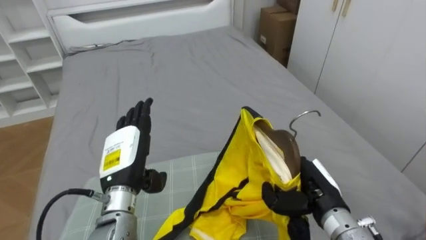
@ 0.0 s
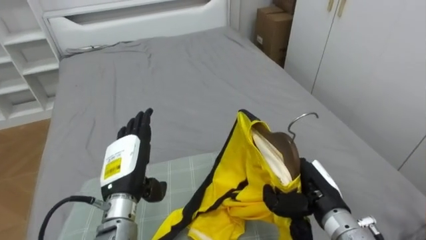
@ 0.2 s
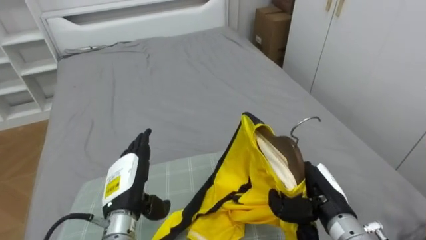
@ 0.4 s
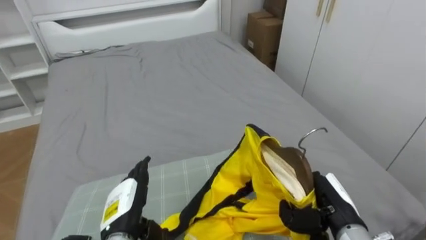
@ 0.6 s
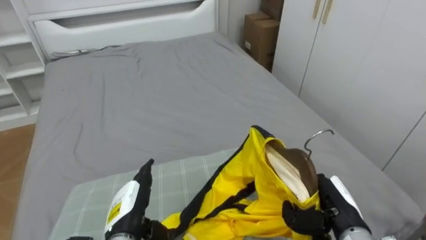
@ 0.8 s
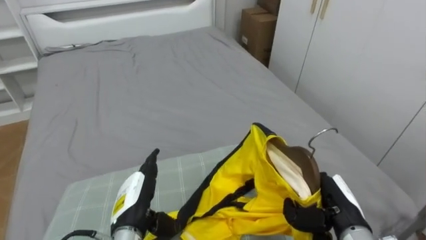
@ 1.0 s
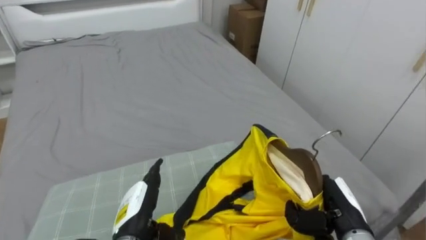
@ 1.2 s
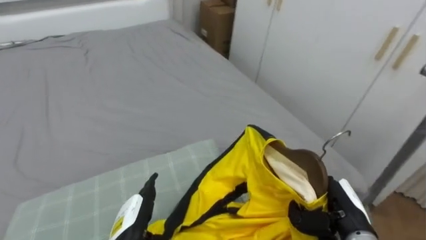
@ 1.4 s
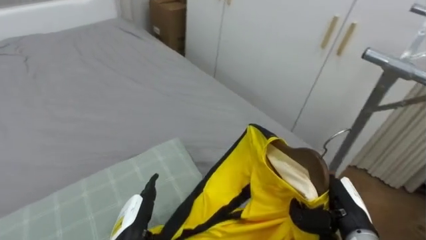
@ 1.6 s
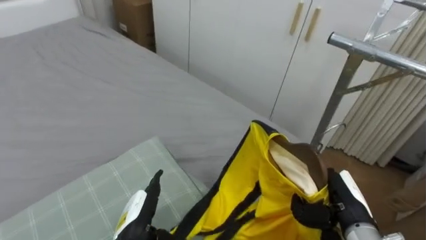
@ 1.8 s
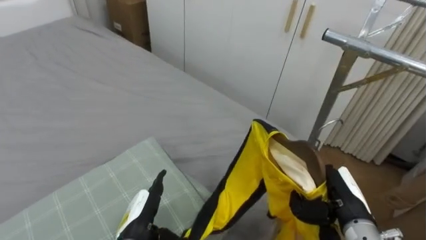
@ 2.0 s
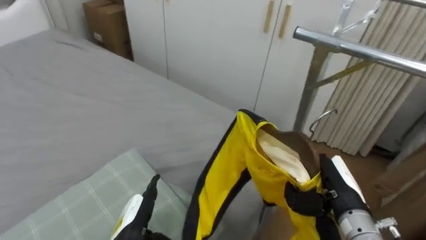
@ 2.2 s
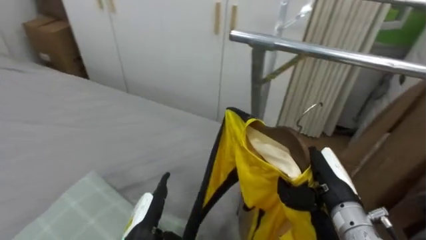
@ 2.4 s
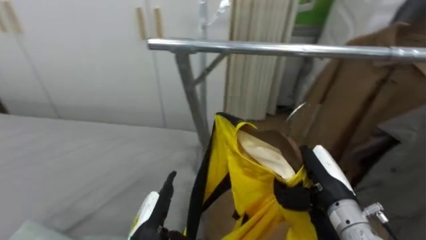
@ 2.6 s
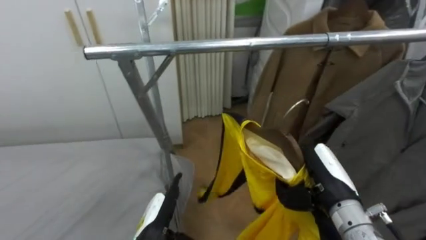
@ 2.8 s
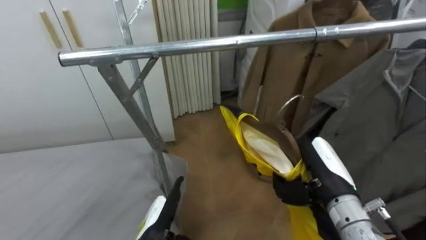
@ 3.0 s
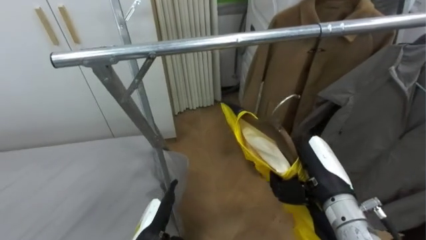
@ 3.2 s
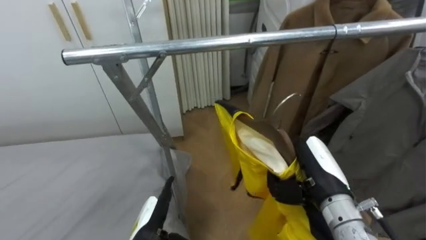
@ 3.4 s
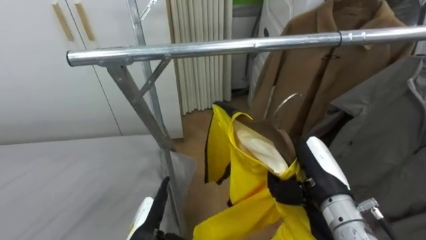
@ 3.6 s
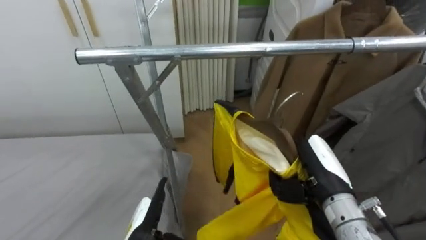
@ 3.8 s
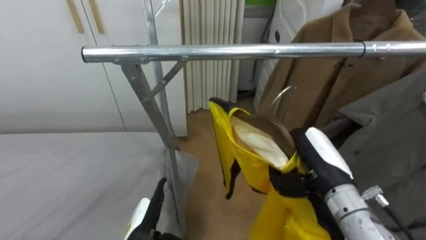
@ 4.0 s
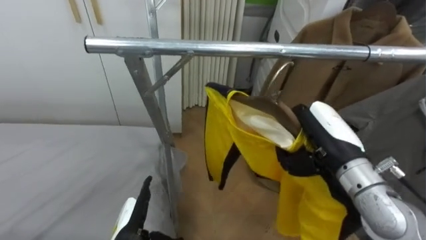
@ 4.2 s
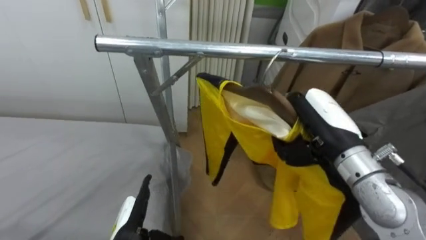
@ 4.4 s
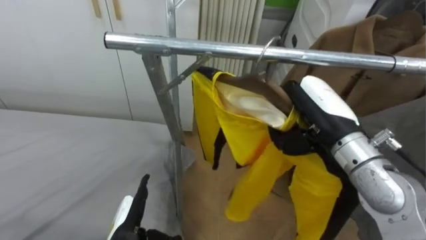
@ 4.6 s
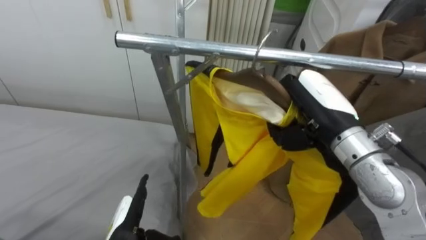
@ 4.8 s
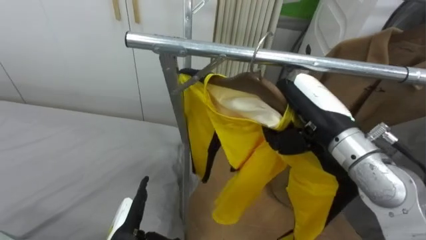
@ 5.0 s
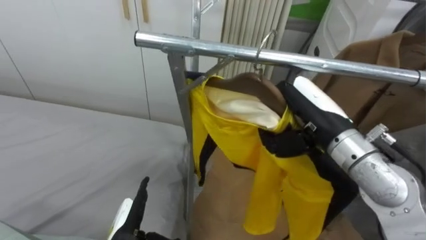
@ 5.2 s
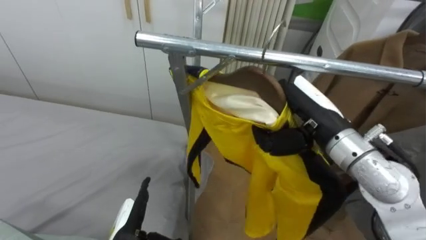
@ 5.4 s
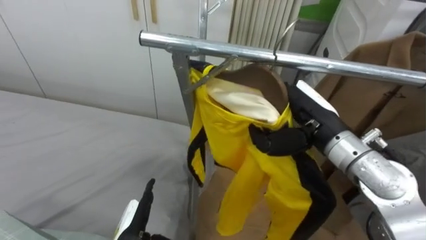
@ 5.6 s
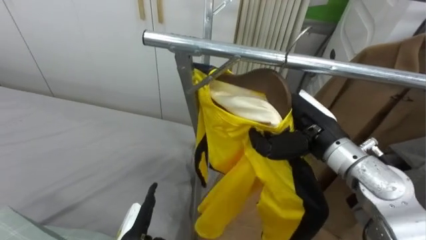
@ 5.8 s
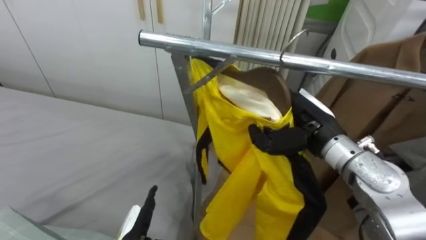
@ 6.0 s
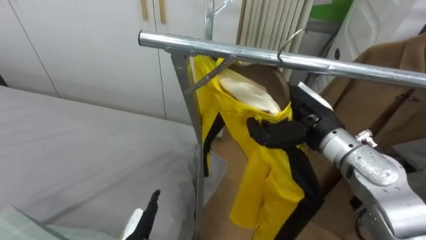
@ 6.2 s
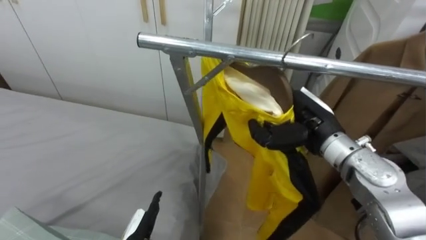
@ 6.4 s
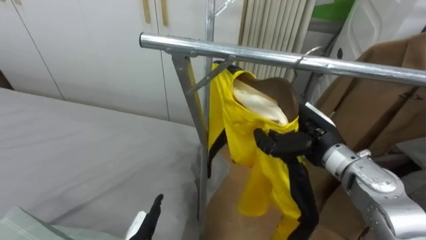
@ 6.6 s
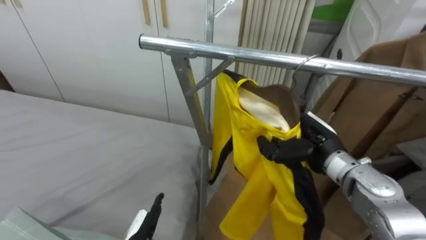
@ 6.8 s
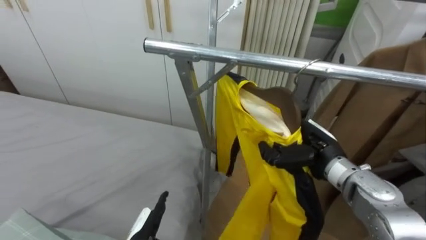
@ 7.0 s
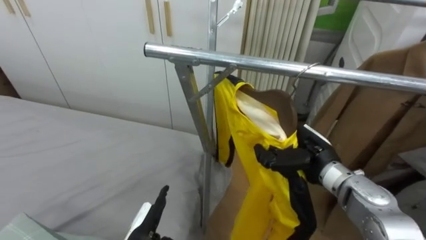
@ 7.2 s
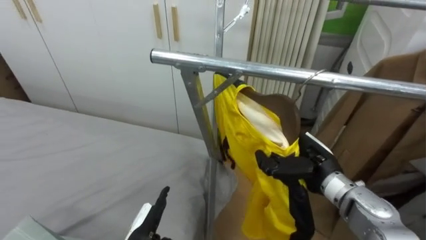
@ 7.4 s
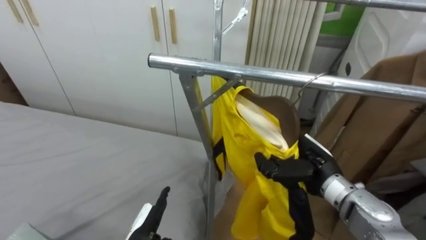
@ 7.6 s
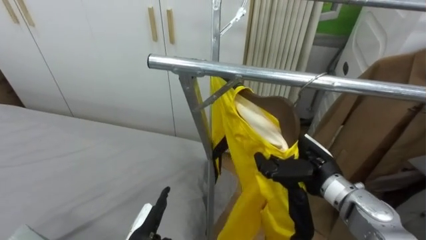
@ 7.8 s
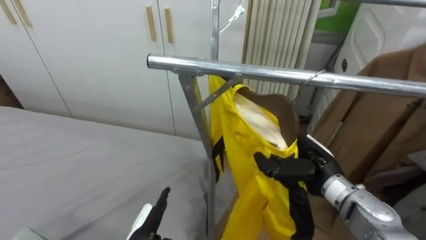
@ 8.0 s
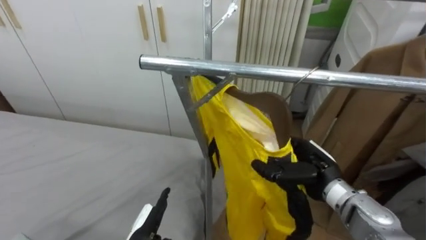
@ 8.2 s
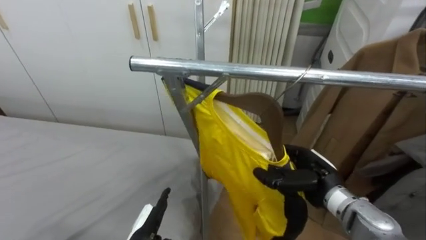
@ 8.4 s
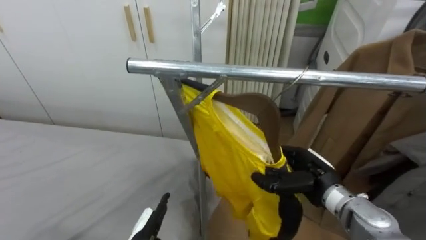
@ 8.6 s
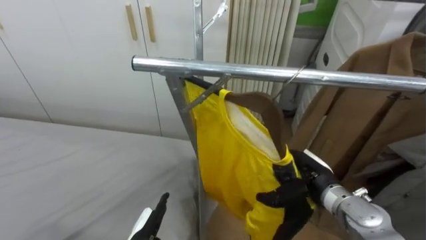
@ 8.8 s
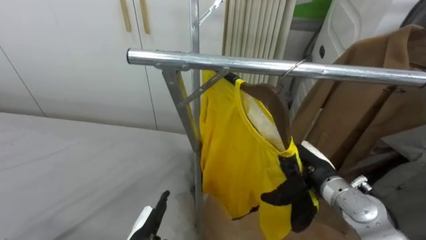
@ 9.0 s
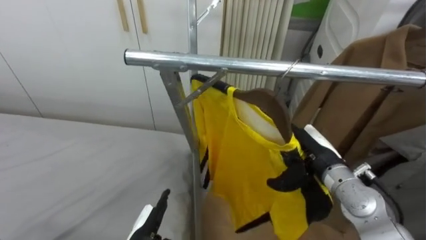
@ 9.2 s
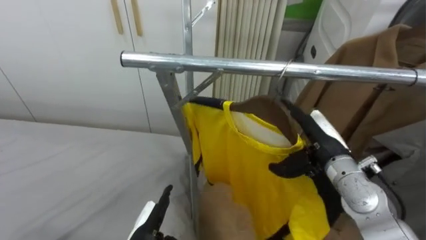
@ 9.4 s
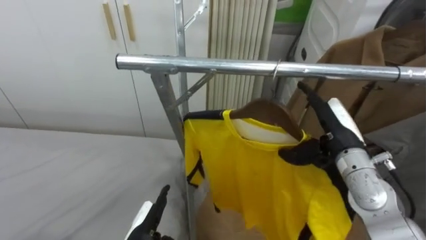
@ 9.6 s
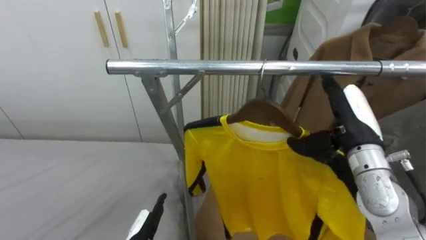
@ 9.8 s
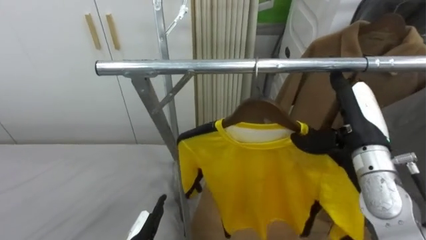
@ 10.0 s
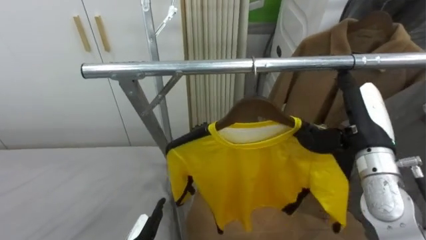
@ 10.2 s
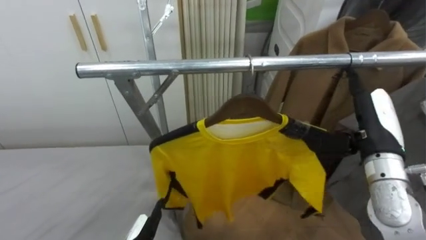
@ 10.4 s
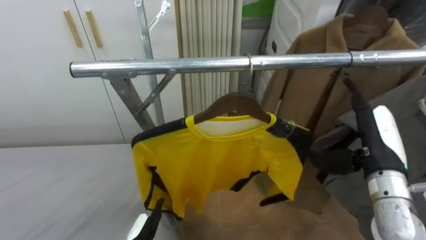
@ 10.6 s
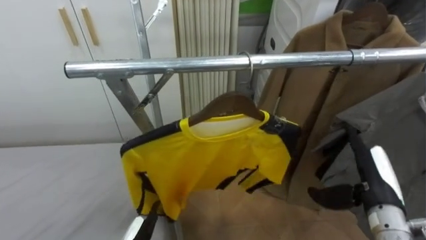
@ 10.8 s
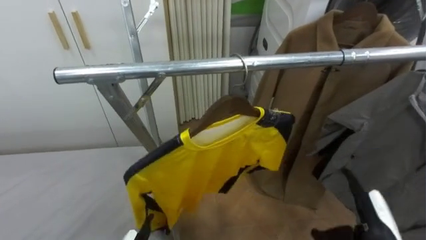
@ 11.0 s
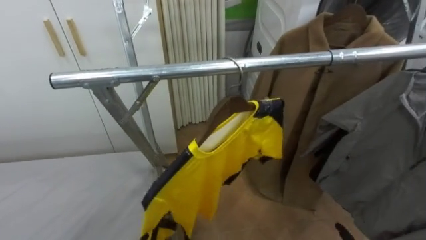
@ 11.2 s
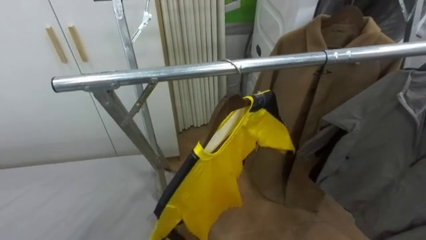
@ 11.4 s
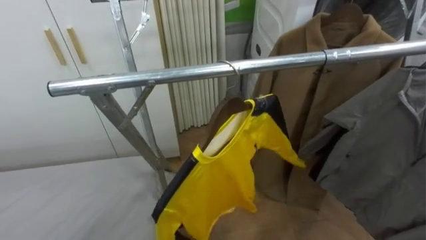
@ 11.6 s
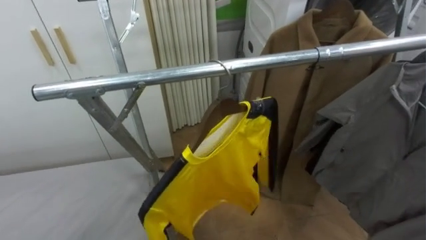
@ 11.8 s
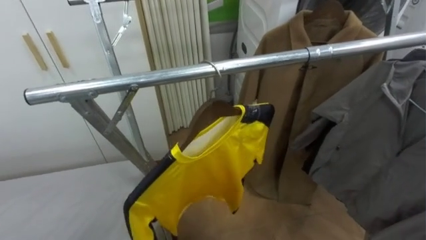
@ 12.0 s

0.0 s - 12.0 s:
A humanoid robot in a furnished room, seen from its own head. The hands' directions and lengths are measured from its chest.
Task of the whole recording: Pick up the yellow shirt on the bed and hang it on the clothes rack on the right.
0.0 s - 1.6 s: The robot's body swings approximately 20 degrees to its right. The left hand is displaced downward and backward by roughly 15 cm. The right hand moves about 5 cm.
1.6 s - 3.0 s: The robot rotates roughly 55 degrees to its right. The right hand travels upward by roughly 5 cm.
3.0 s - 4.4 s: The right hand travels upward by approximately 10 cm; the left hand shifts some 5 cm to the left.
6.0 s - 7.6 s: The right hand is displaced downward by about 10 cm.
7.6 s - 9.0 s: The right hand opens its fingers.
9.0 s - 10.4 s: The right hand travels upward and to the right by approximately 15 cm.

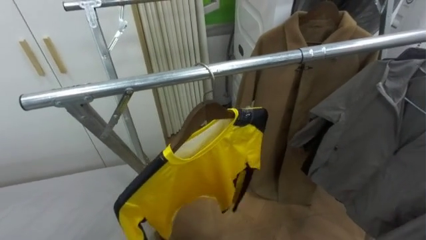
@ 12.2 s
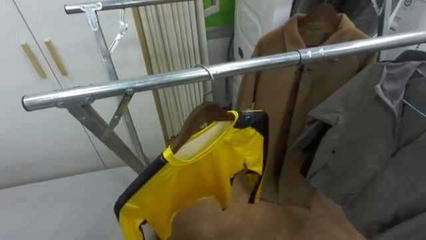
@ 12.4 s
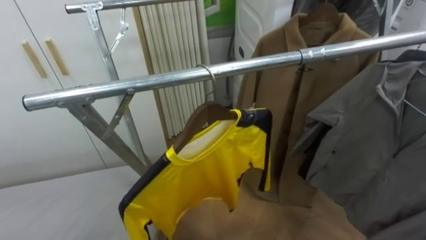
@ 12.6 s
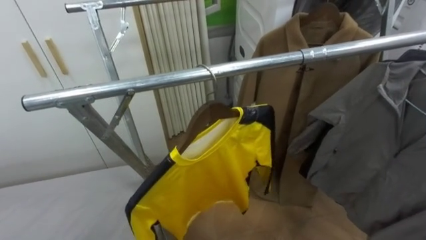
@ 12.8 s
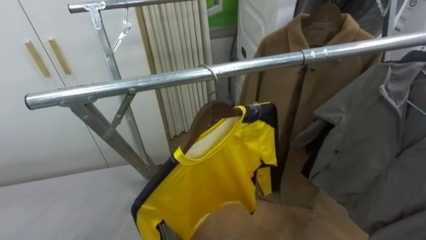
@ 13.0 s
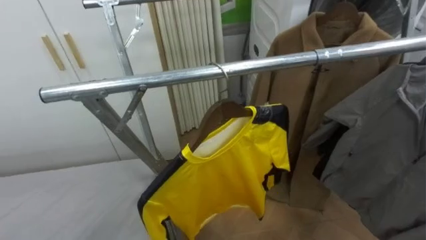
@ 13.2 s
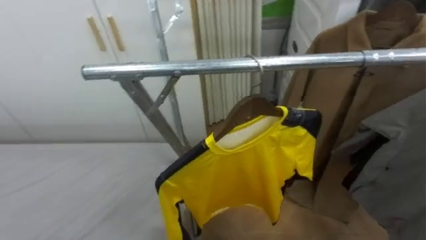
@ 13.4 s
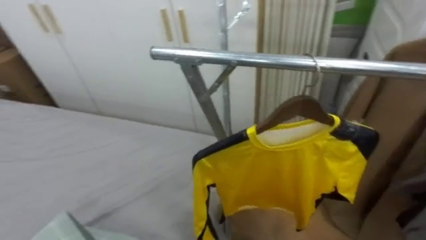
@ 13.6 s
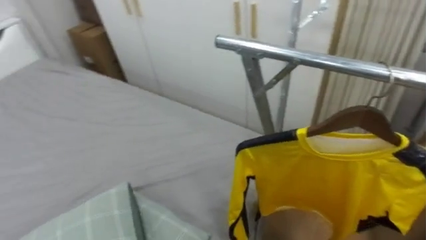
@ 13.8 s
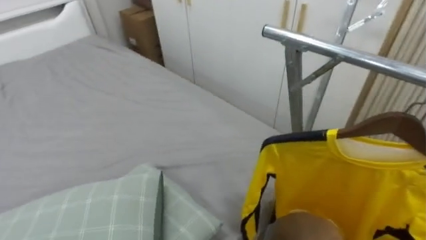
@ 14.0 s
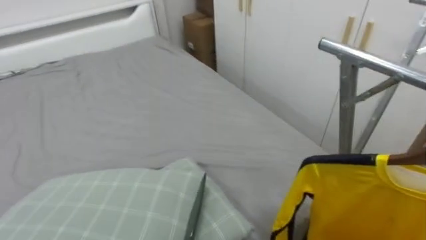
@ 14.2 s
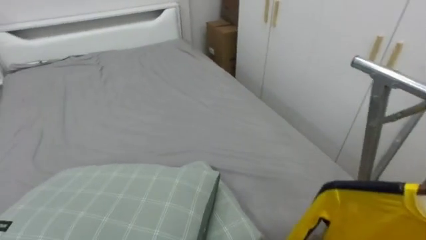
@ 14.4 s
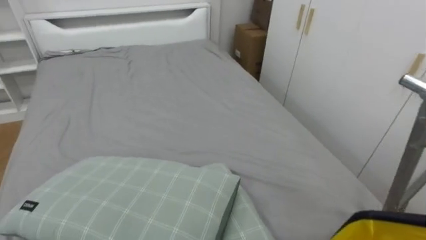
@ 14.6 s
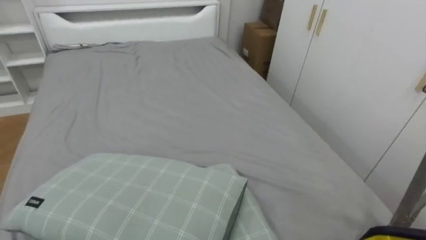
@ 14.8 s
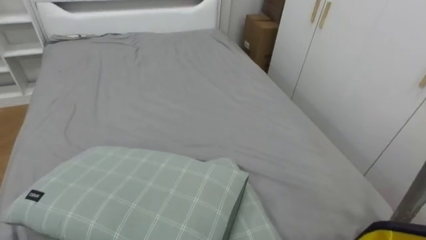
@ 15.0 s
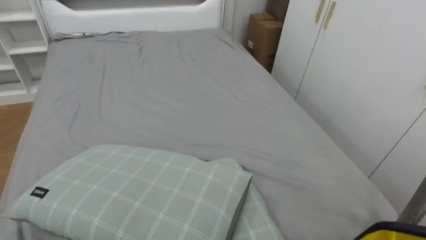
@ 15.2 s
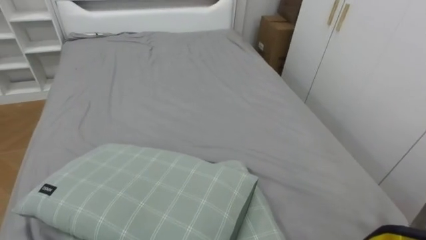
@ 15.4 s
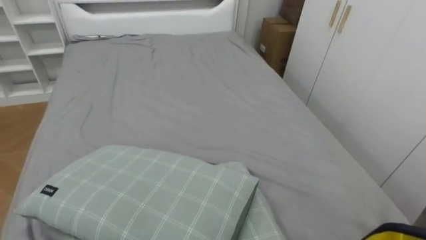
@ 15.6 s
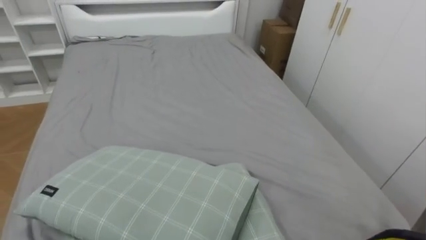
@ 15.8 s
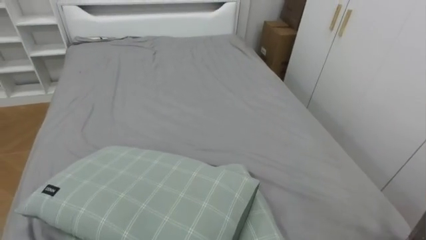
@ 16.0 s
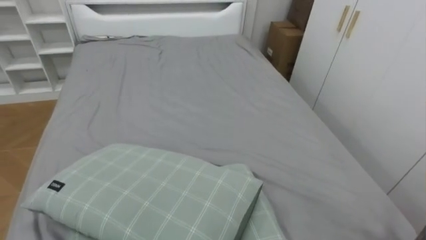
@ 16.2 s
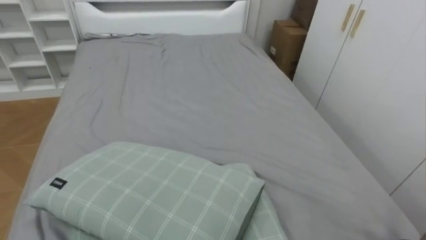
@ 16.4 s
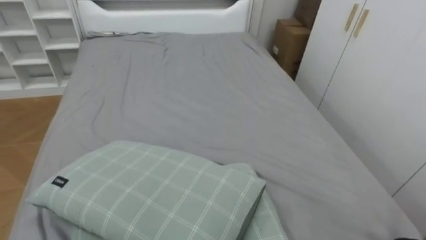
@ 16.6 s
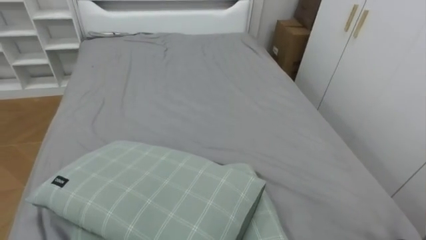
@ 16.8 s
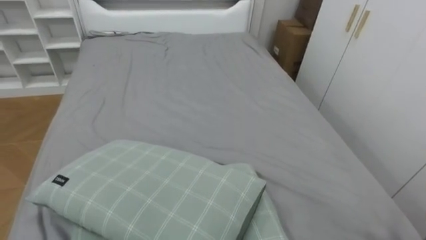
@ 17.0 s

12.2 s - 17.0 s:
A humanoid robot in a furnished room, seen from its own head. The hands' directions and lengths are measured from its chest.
Task of the whole recording: Pick up the yellow shirt on the bed and hang it on the clothes rack on the right.
12.2 s - 13.8 s: The robot's body swings about 40 degrees to its left.
13.8 s - 15.4 s: The robot rotates some 40 degrees to its left.
